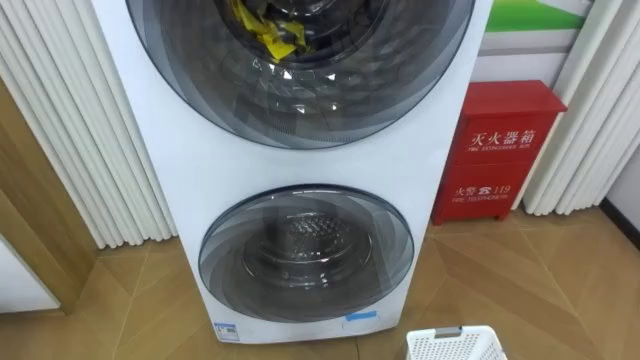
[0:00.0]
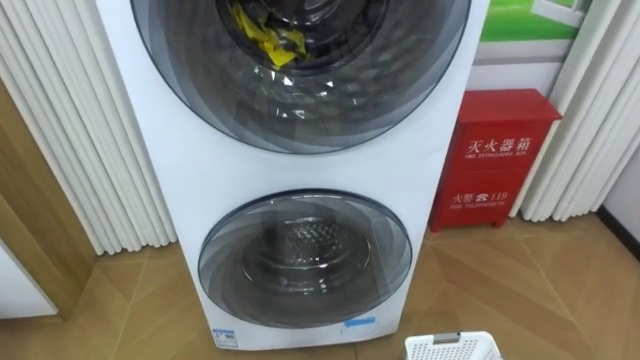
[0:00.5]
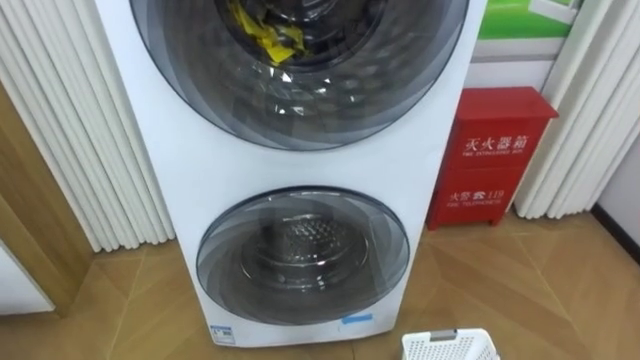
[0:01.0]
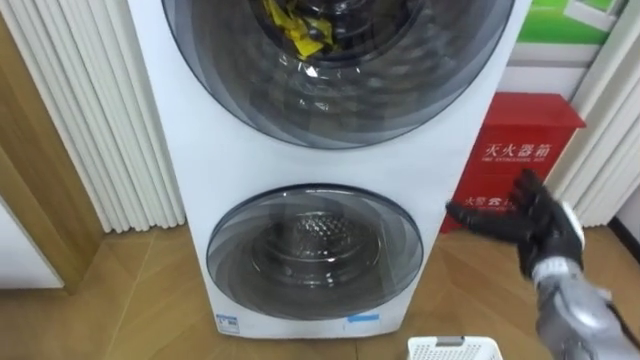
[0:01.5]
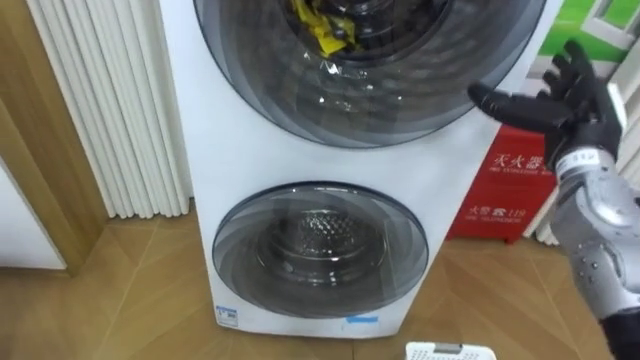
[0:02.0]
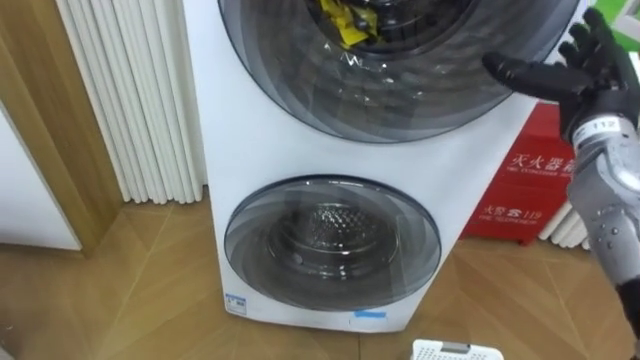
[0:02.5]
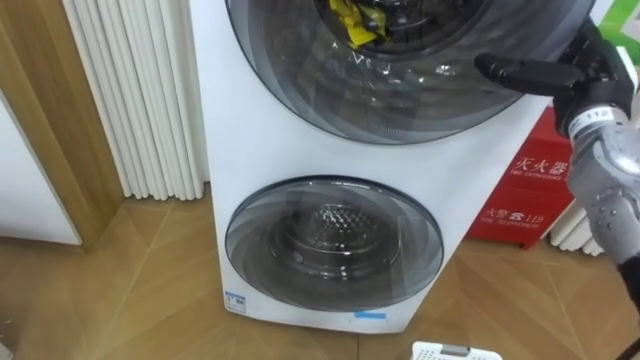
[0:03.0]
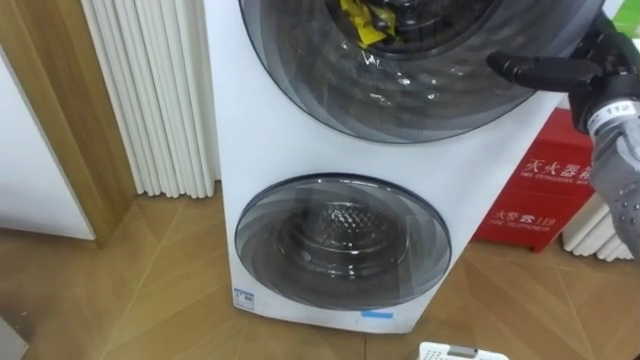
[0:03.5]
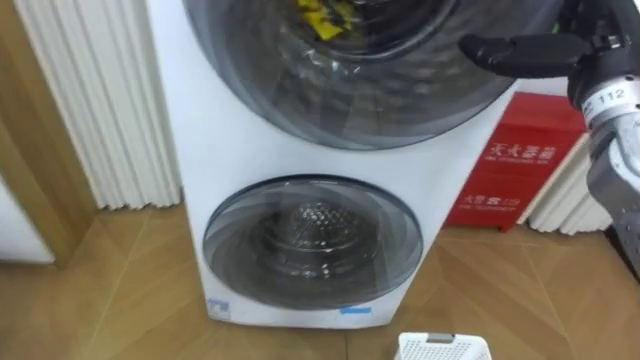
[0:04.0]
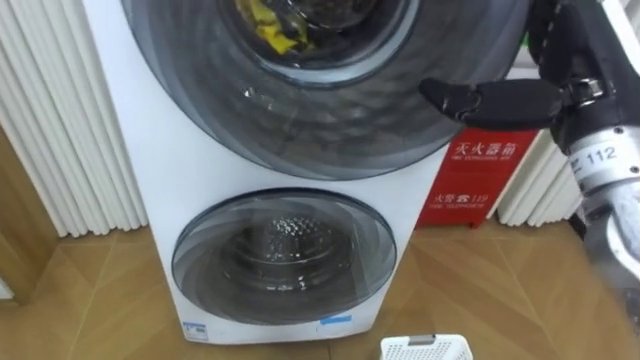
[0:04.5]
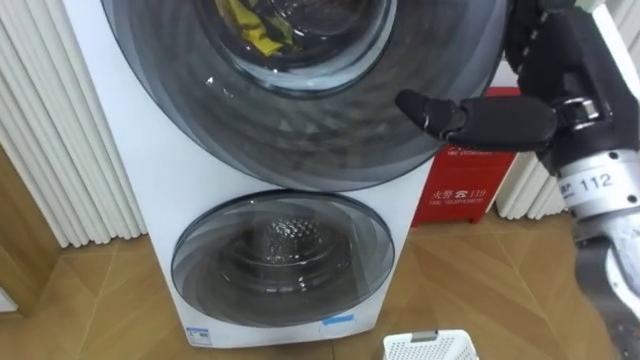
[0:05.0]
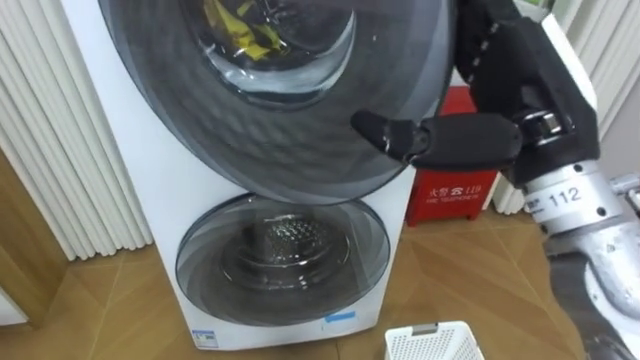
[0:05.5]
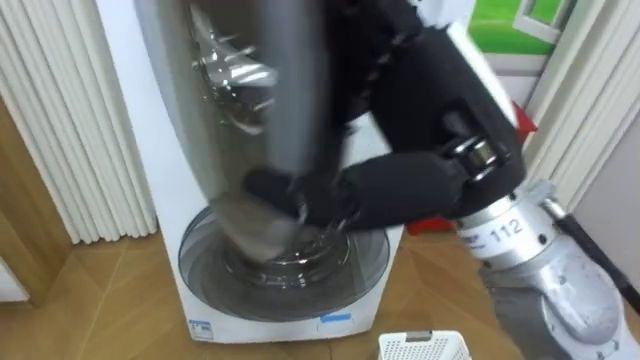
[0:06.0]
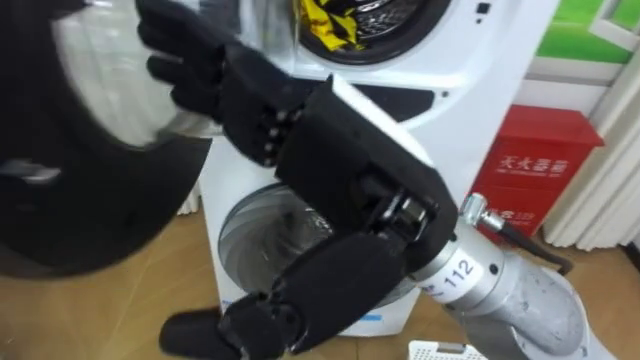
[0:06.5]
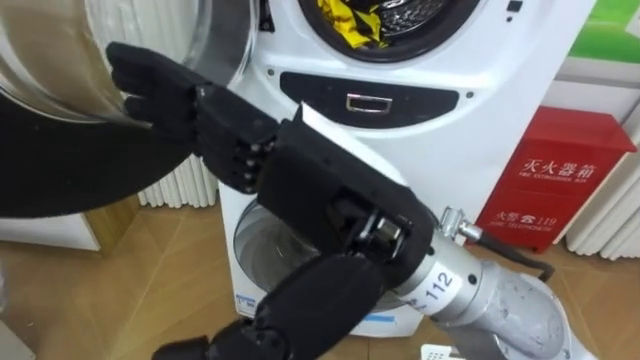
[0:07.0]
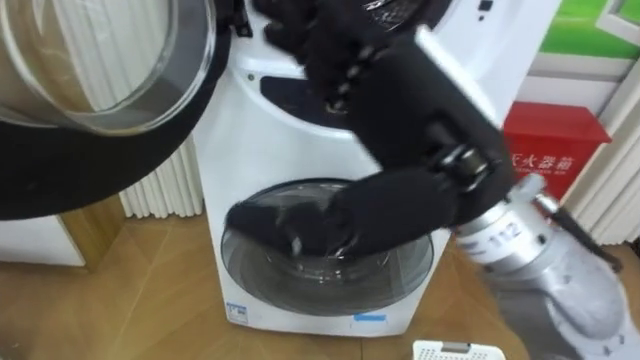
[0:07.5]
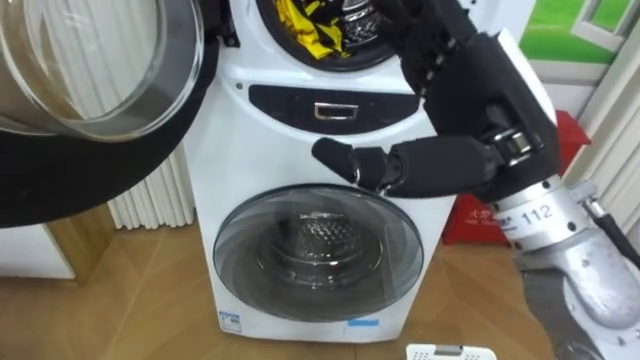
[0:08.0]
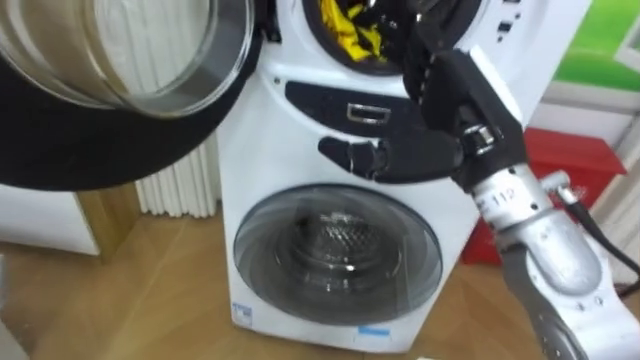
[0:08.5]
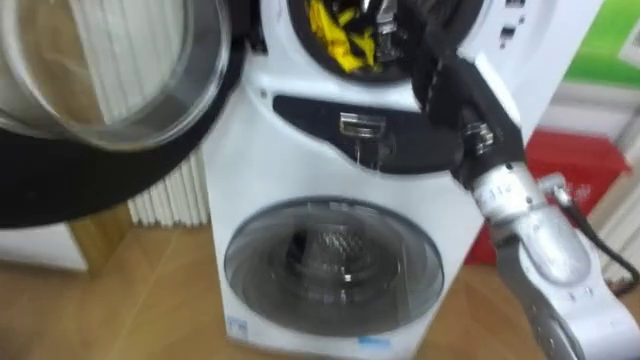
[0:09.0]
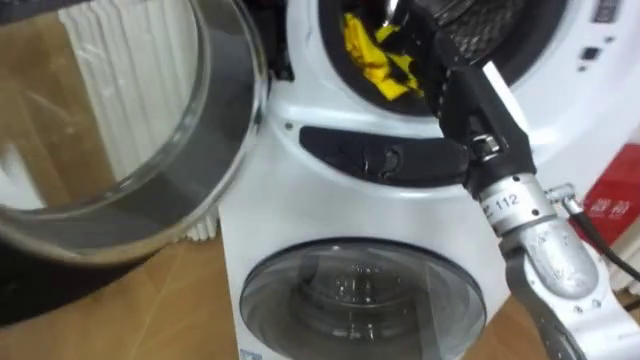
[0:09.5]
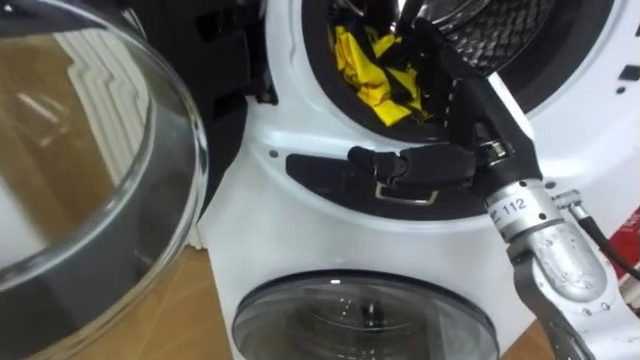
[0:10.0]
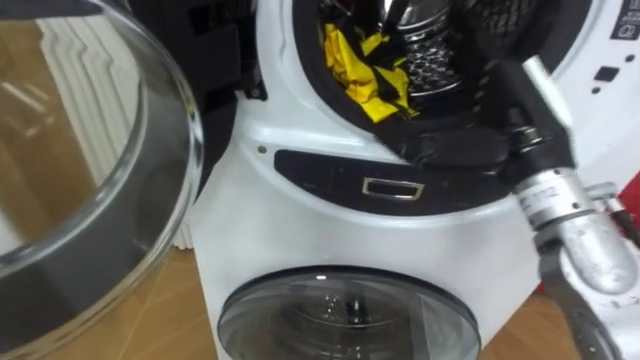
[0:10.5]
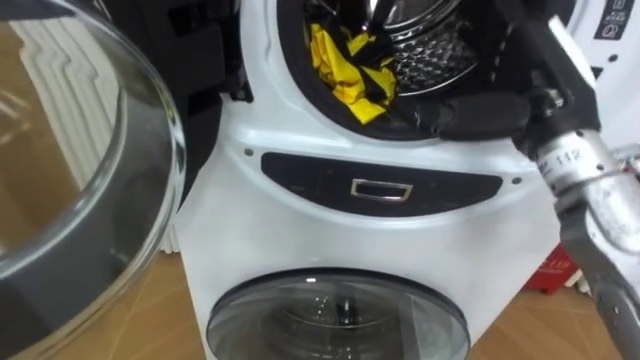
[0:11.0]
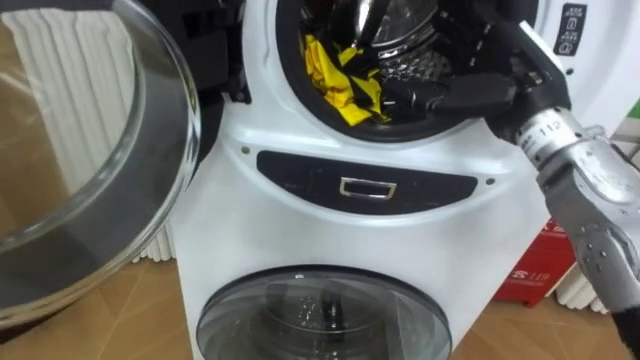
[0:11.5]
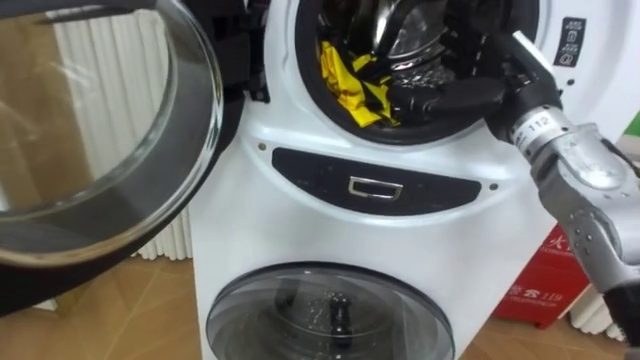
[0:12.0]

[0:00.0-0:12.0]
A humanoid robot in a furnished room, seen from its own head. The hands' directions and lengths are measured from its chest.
Task of the whole recording: Open the washing machine door, take out the yellow clothes, place them in the box on the right, and close the washing machine door.
0:02.0 to 0:04.0: The right hand travels upward by roughly 10 cm.
0:04.0 to 0:06.0: The right hand goes some 25 cm to the left and backward.
0:06.0 to 0:08.0: The right hand travels to the right by roughly 5 cm.
0:08.0 to 0:10.0: The right hand moves downward and forward, some 10 cm.
0:10.0 to 0:12.0: The right hand moves forward, approximately 10 cm.

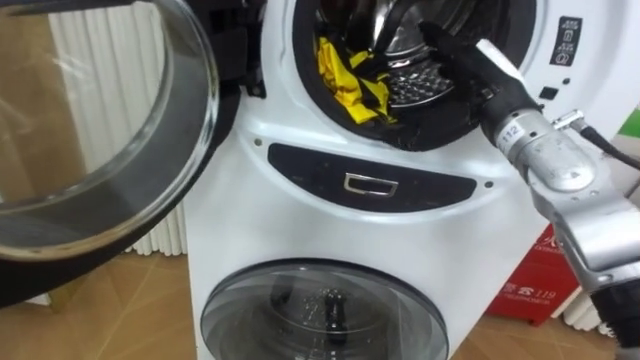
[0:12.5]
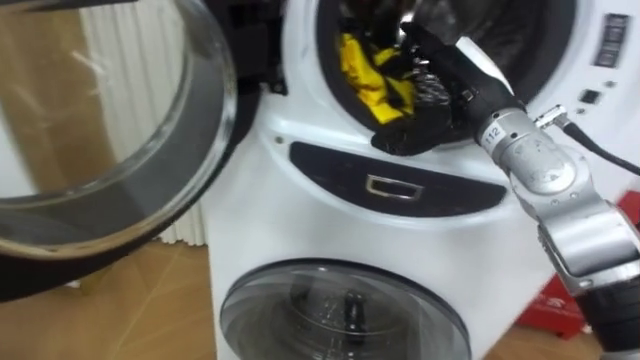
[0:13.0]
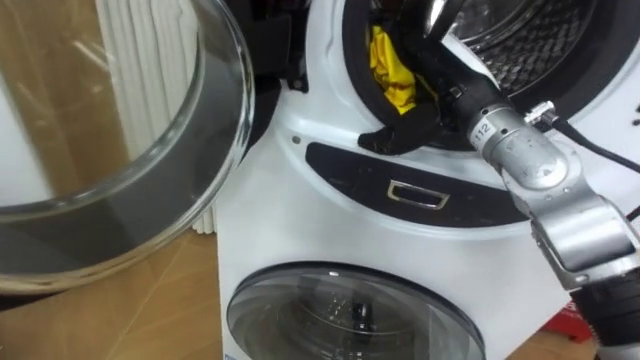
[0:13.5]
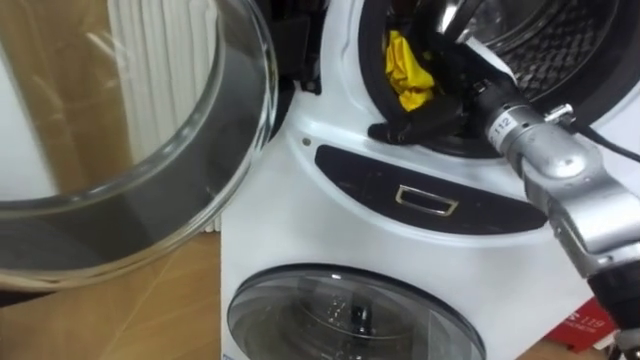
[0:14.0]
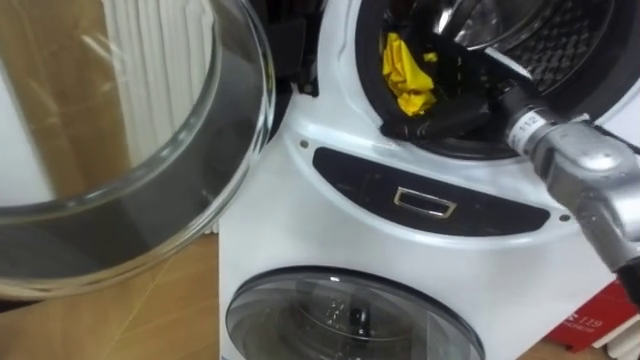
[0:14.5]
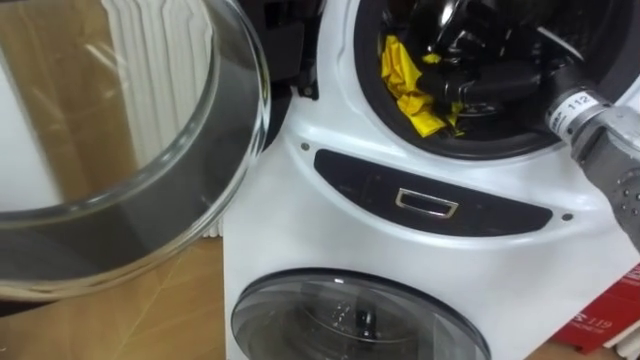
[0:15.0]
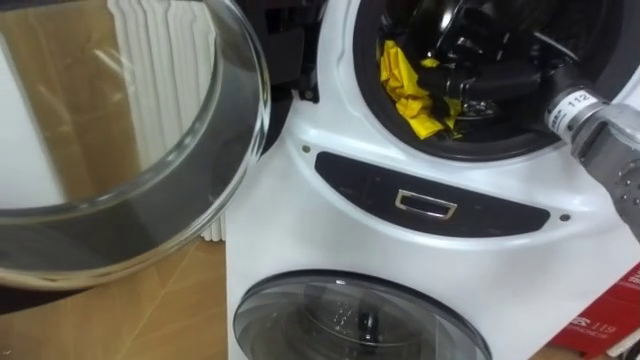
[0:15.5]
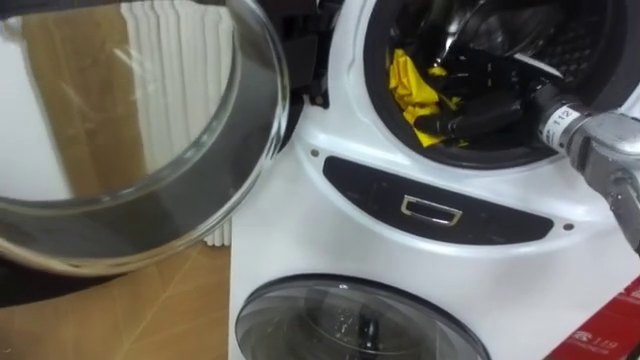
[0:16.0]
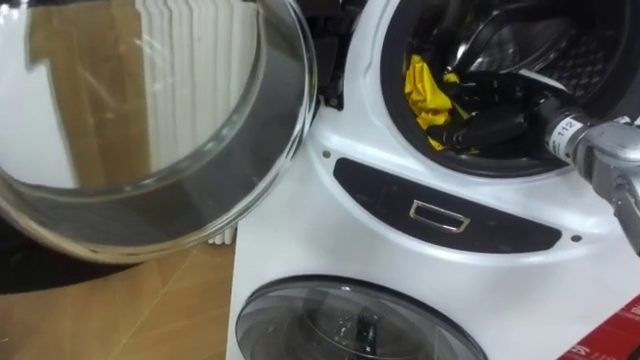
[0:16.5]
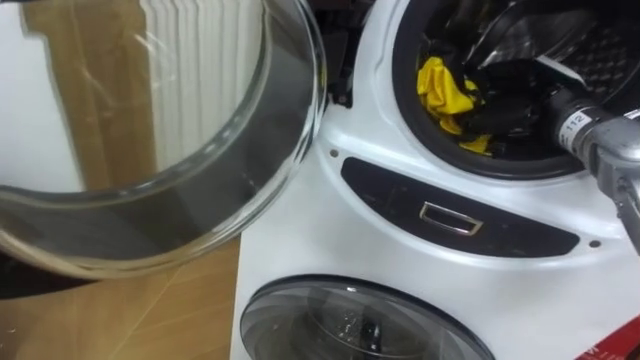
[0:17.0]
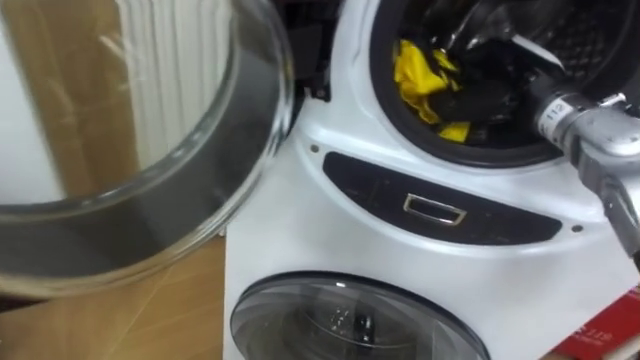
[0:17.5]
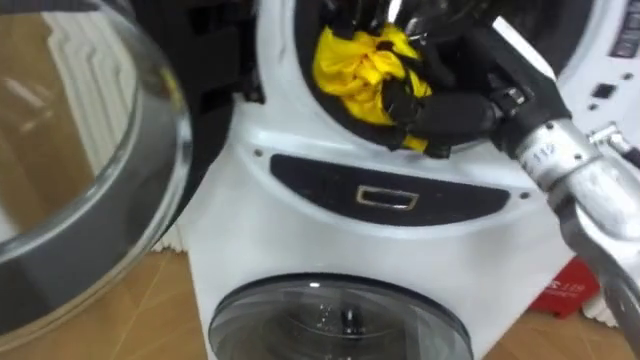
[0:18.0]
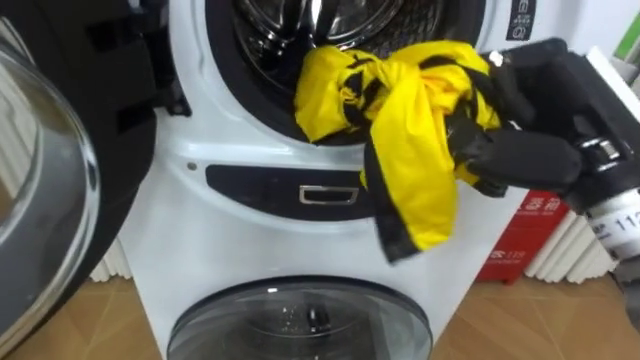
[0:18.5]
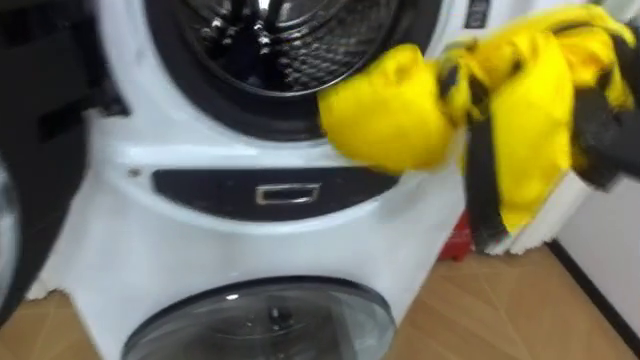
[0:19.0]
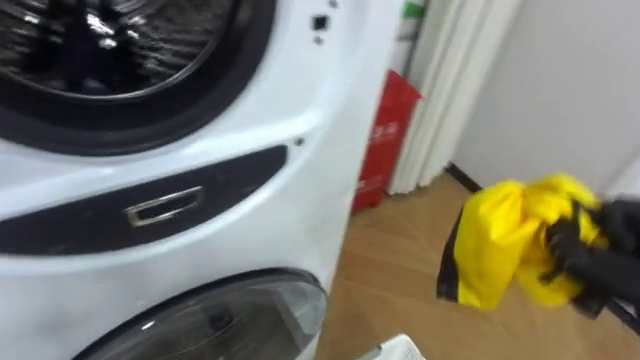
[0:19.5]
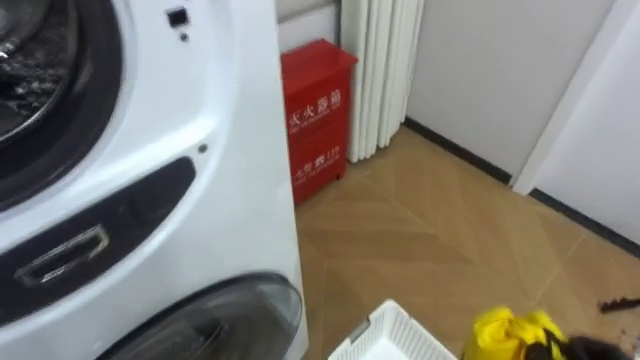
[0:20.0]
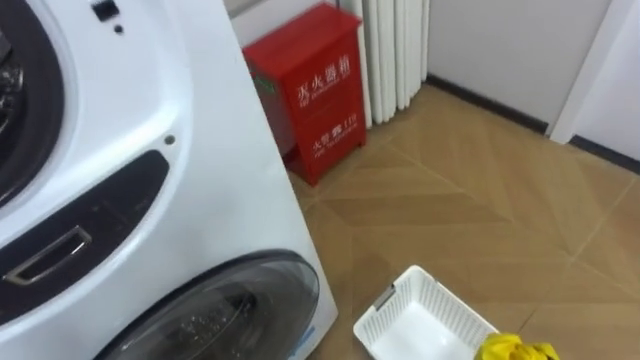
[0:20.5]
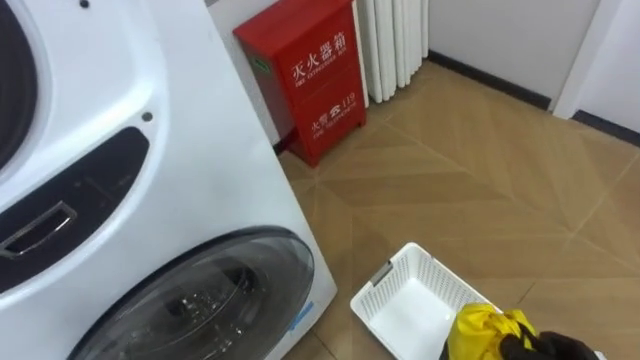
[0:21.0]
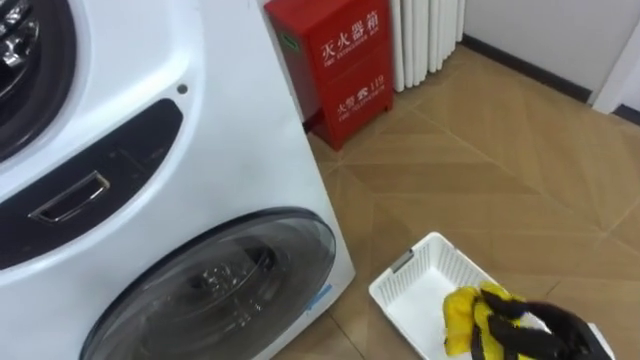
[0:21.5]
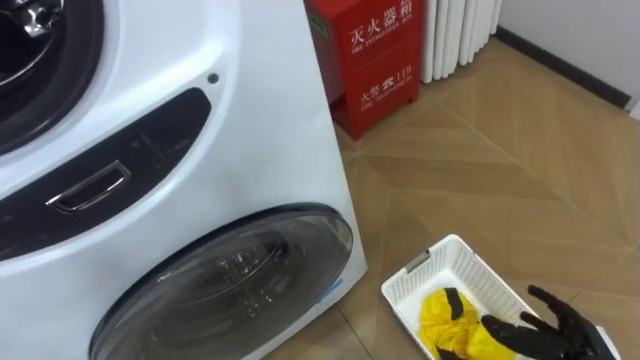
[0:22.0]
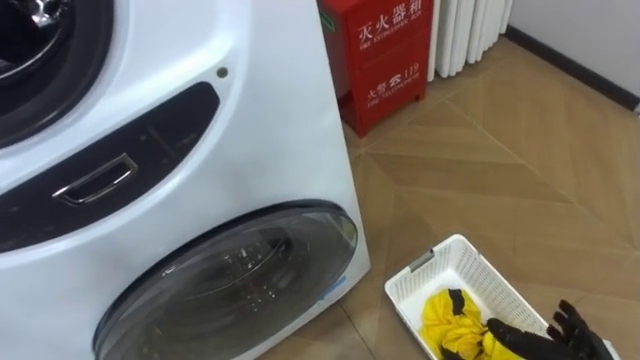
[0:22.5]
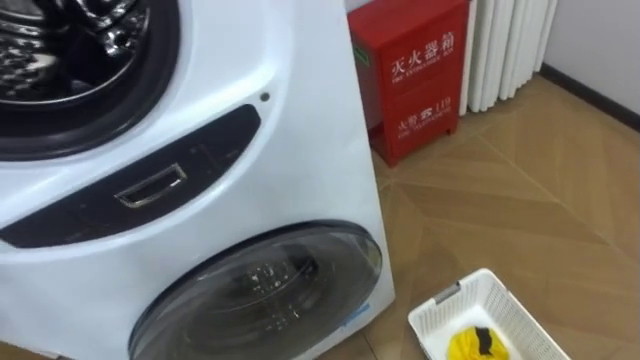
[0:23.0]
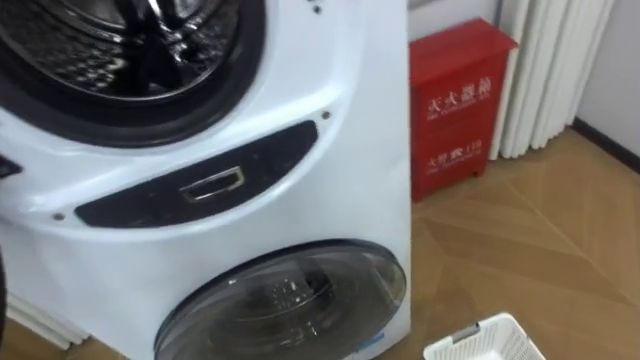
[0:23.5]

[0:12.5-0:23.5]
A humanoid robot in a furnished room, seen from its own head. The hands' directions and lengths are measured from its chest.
Task of the whole recording: Open the washing machine door, take out the yellow clothes, place them in the box on the right, and close the washing machine door.
0:16.0 to 0:18.0: The right hand moves backward, to the left and upward, roughly 15 cm, and closes its fingers.
